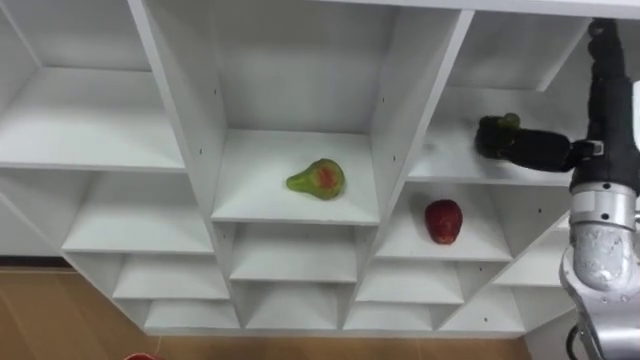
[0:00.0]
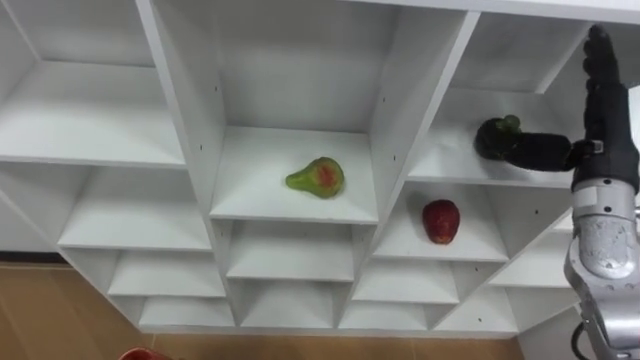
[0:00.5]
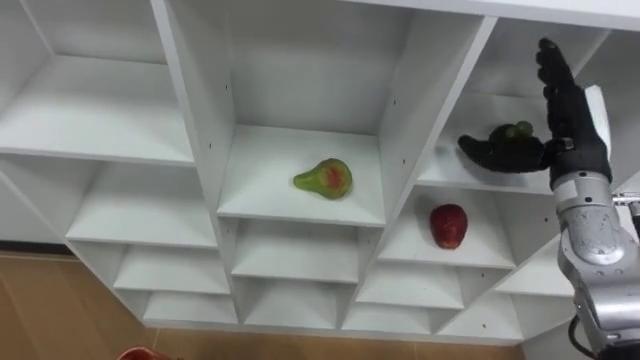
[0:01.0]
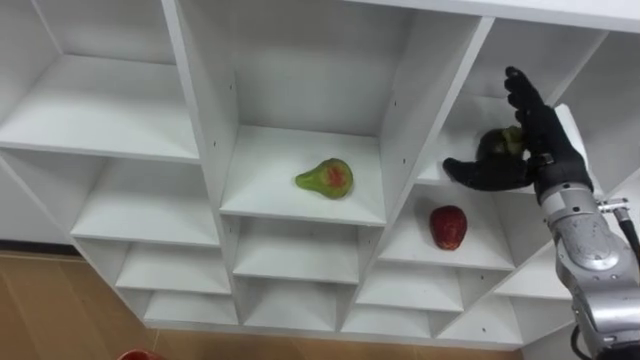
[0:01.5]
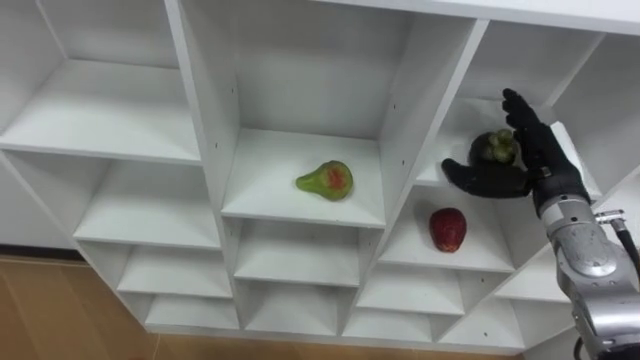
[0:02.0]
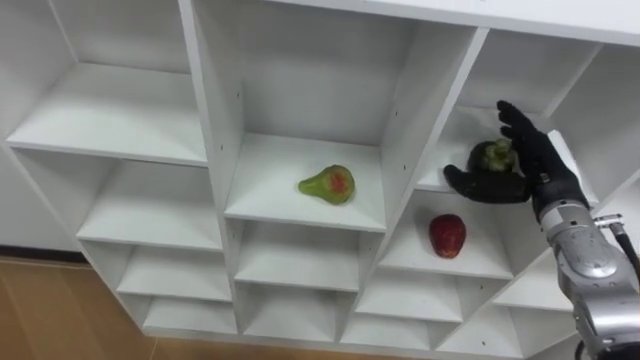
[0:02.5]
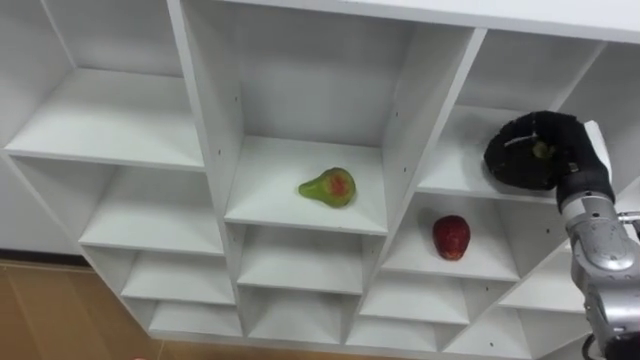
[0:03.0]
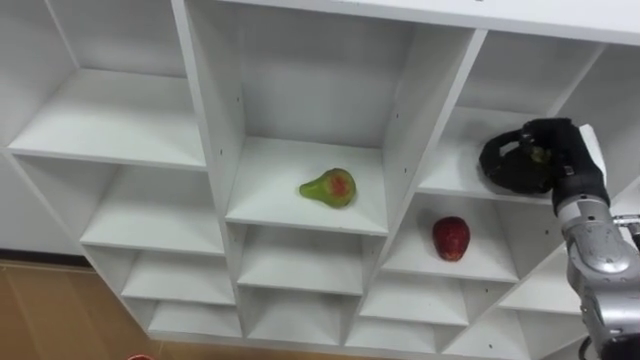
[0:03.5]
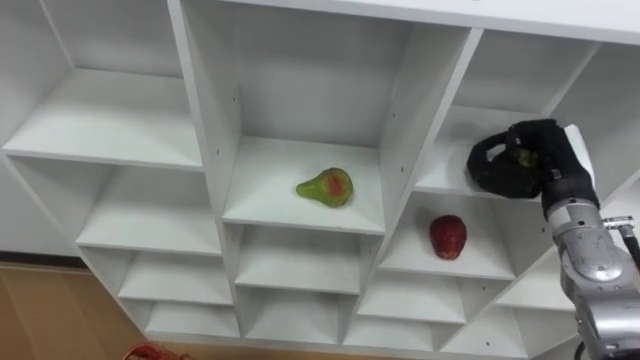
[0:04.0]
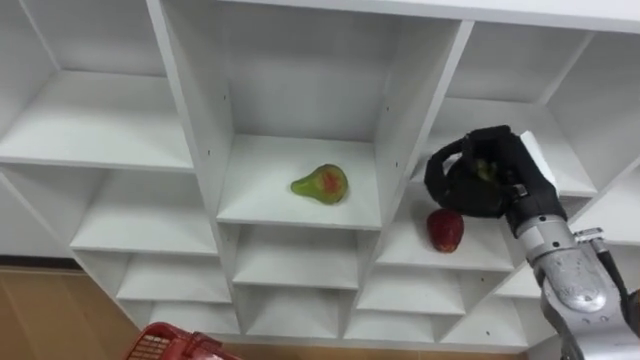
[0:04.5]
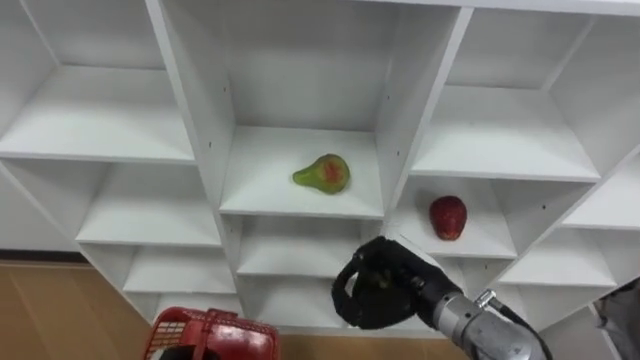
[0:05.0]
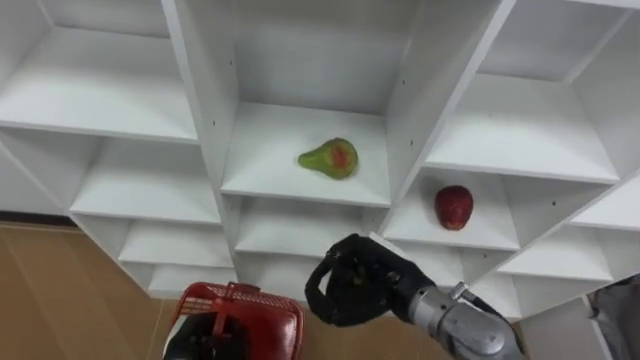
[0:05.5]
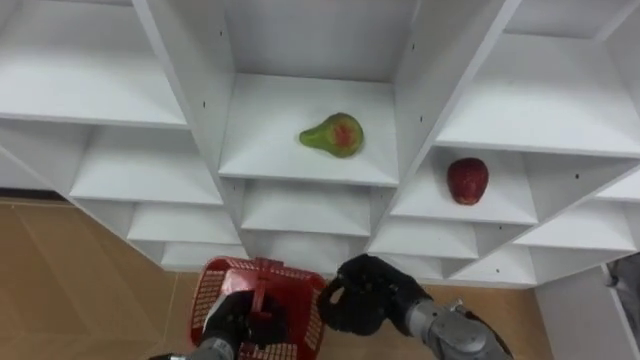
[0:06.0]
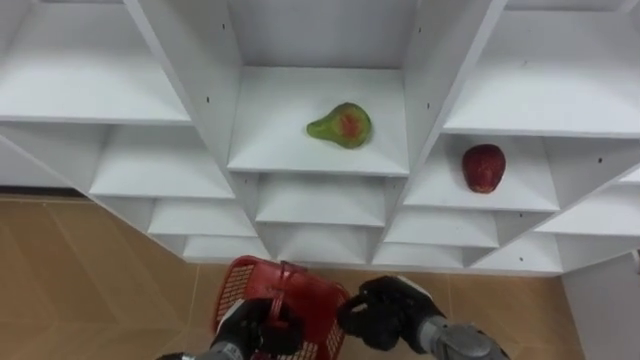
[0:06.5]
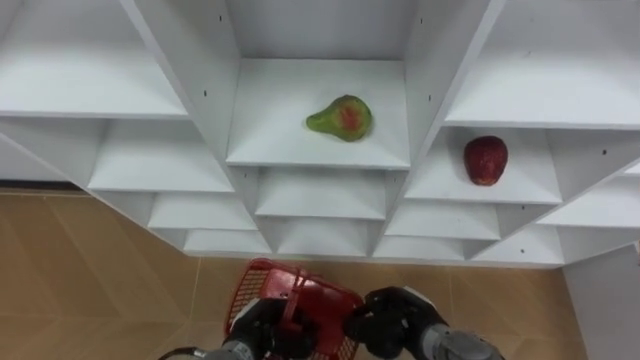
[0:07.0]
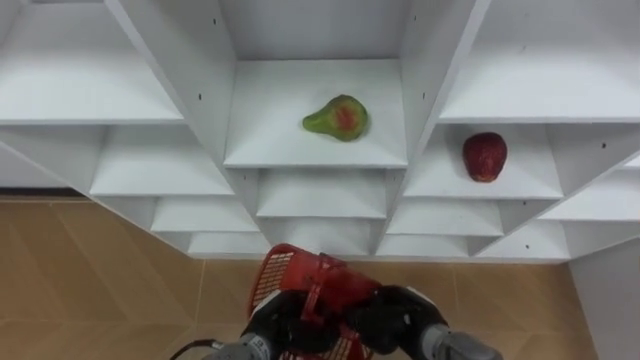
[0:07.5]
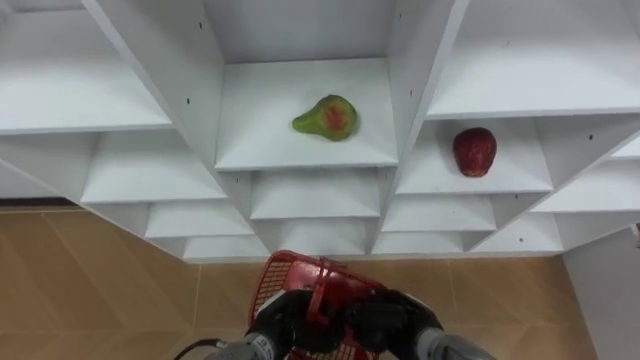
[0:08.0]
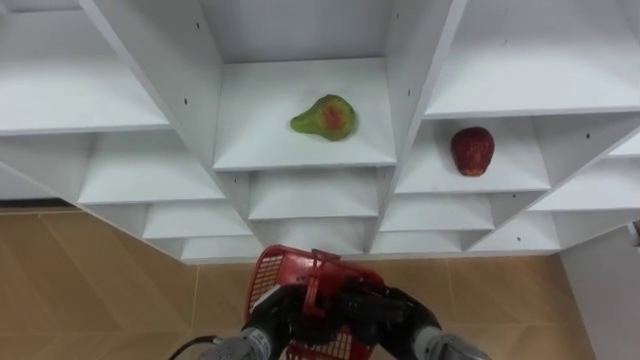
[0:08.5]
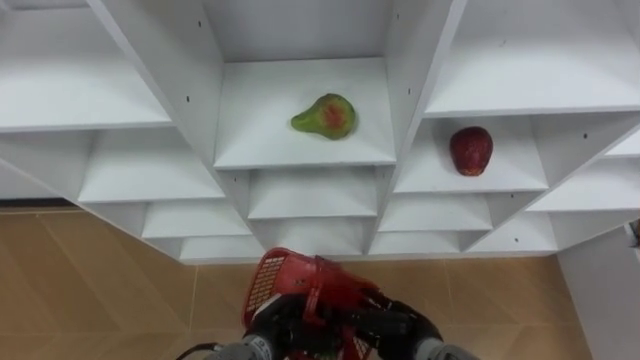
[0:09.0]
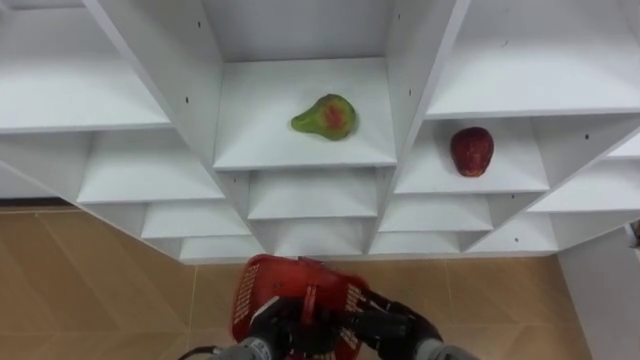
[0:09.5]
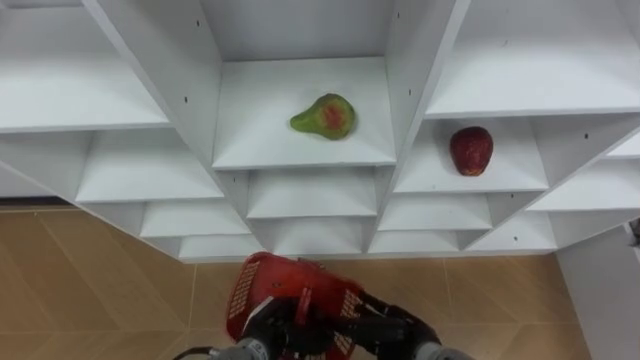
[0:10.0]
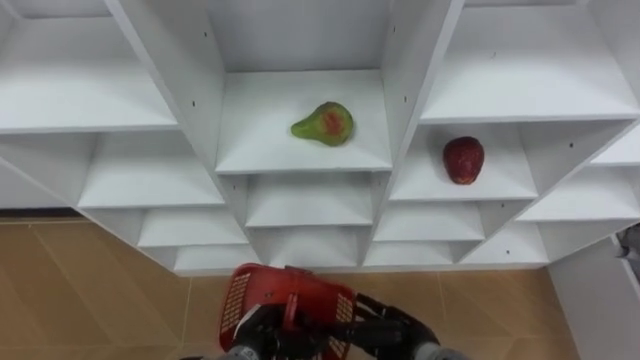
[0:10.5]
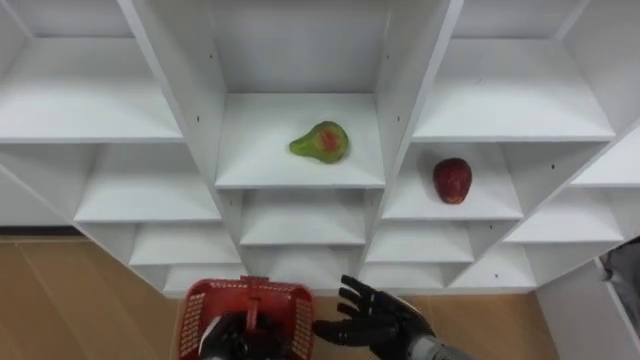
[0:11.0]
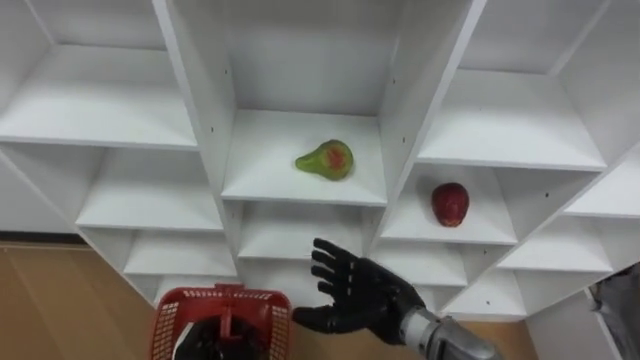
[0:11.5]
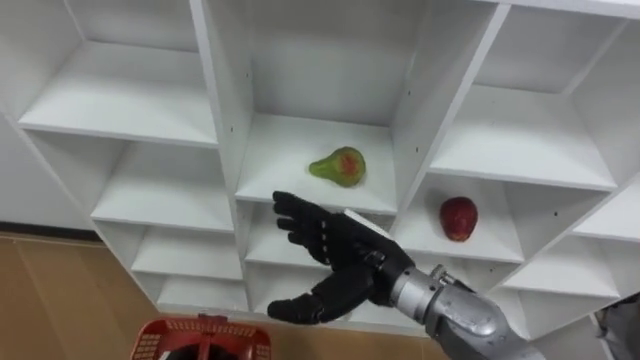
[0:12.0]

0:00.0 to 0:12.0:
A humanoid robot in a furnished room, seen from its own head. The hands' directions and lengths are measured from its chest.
Task of the whole recording: Hold the basket and collect the fruits from 3 different cells of the closet into it.
0:00.0 to 0:02.0: The right hand is displaced downward by approximately 10 cm.
0:02.0 to 0:04.0: The right hand closes up.
0:04.0 to 0:06.0: The right hand goes roughly 25 cm to the left, downward and backward.
0:06.0 to 0:08.0: The right hand shifts roughly 5 cm downward, while the left hand moves to the right, about 10 cm.
0:08.0 to 0:10.0: The right hand opens up.
0:10.0 to 0:12.0: The right hand heads upward, covering about 20 cm.

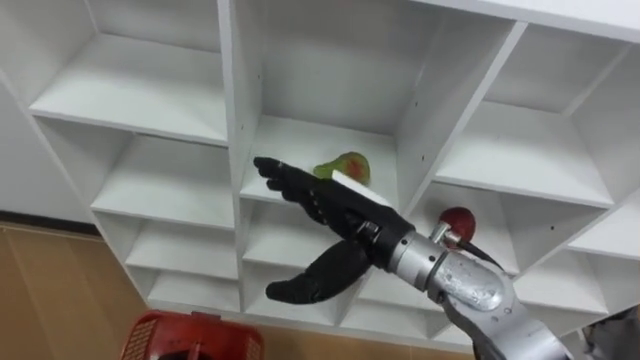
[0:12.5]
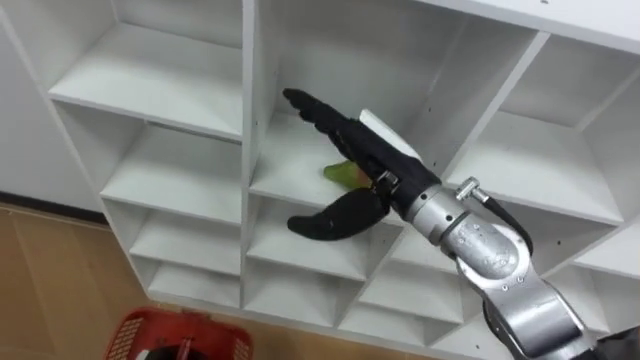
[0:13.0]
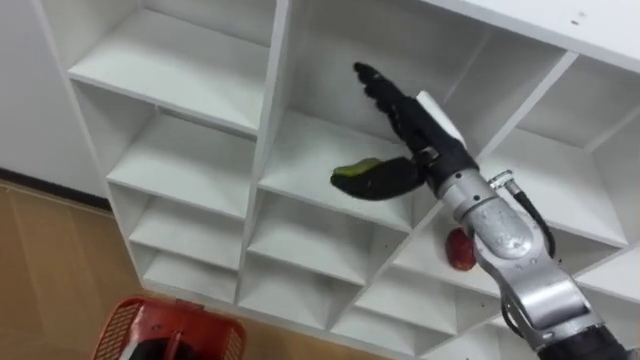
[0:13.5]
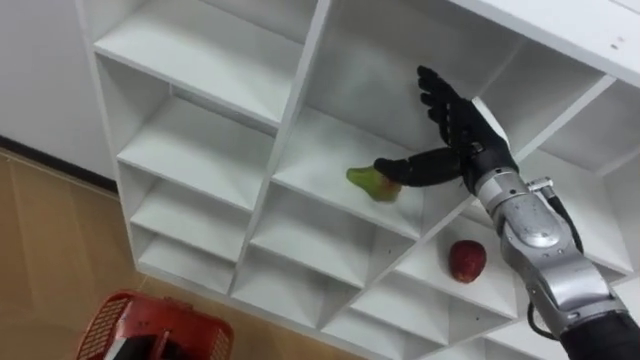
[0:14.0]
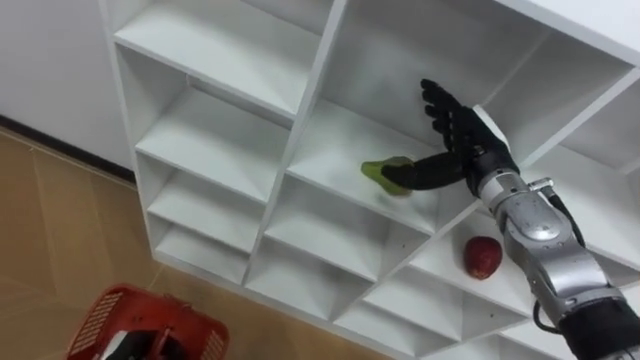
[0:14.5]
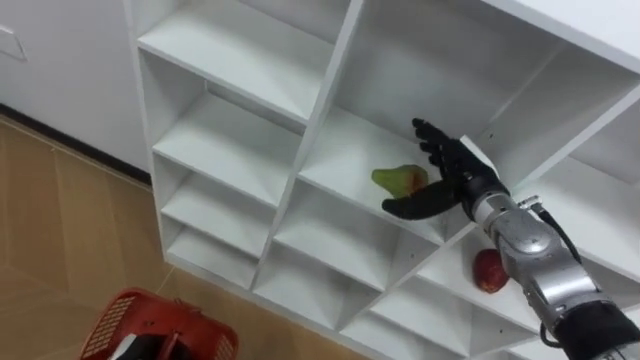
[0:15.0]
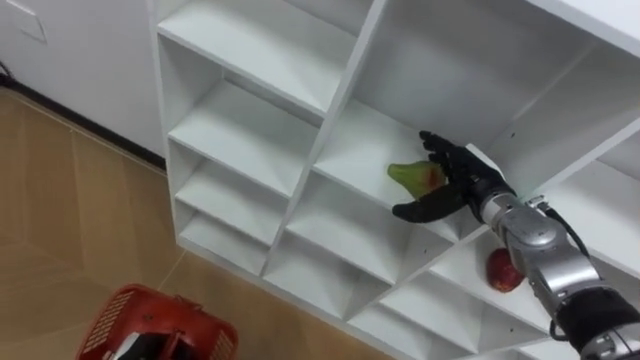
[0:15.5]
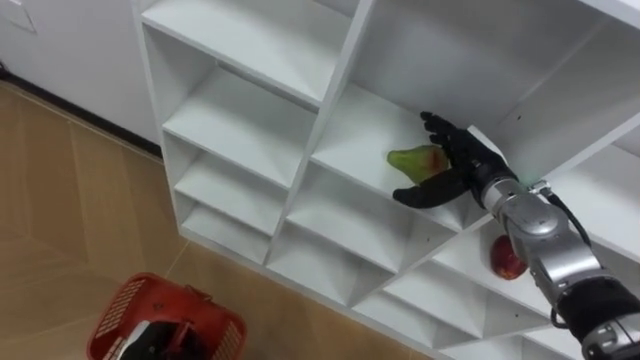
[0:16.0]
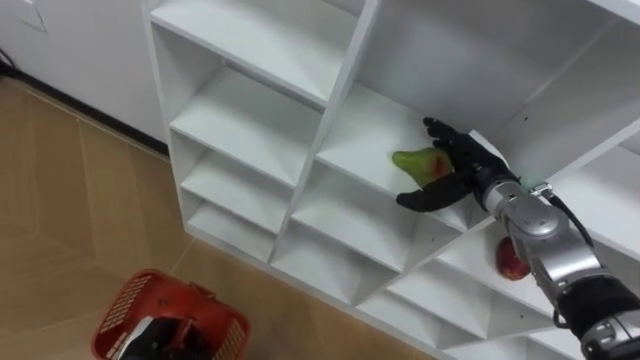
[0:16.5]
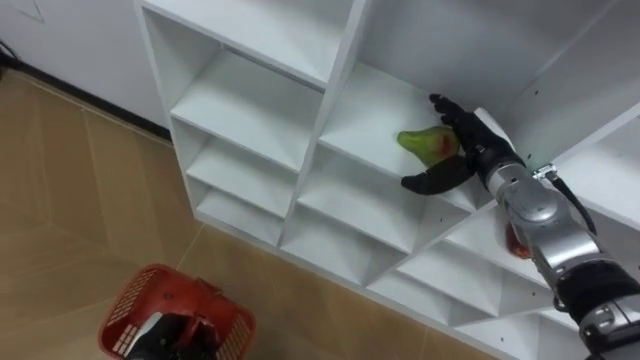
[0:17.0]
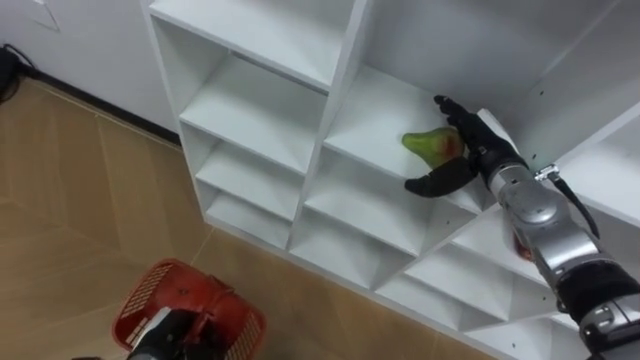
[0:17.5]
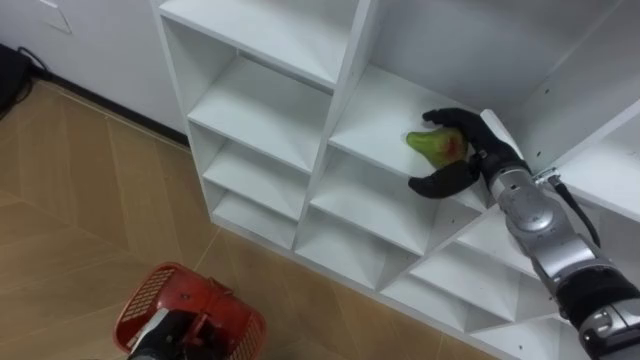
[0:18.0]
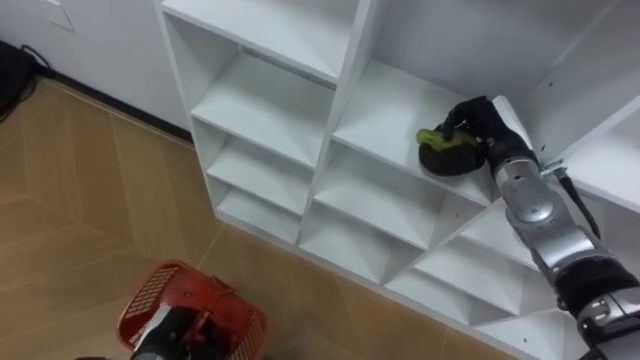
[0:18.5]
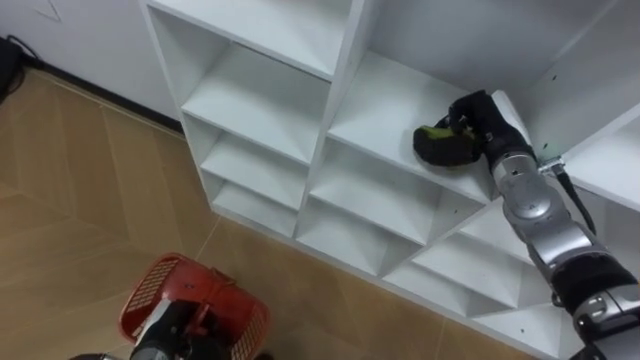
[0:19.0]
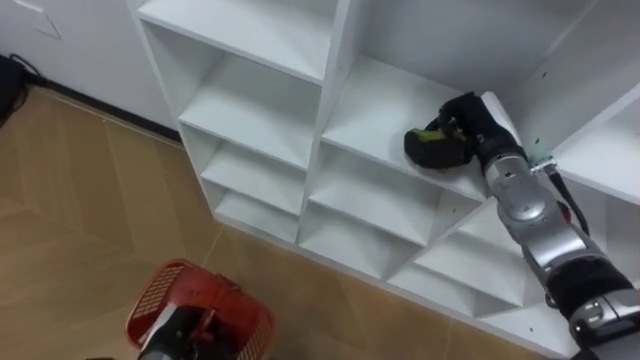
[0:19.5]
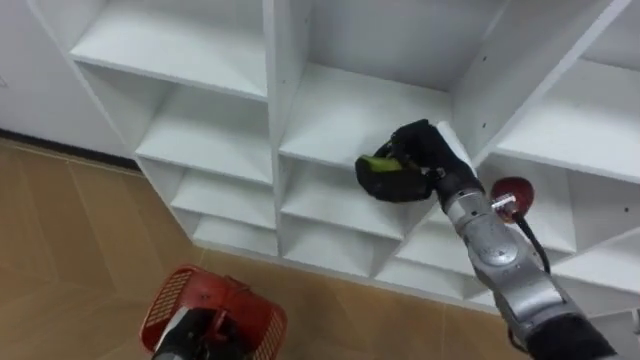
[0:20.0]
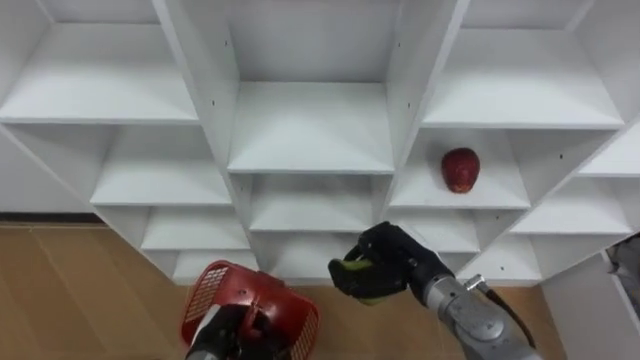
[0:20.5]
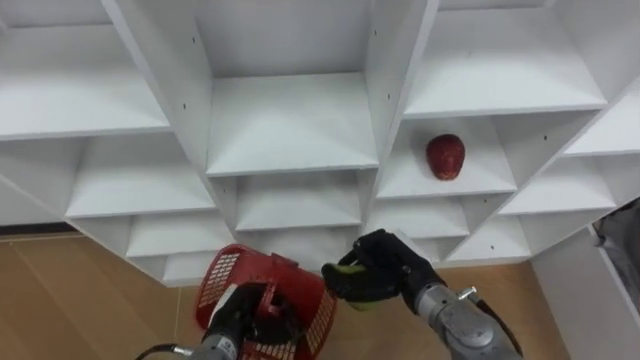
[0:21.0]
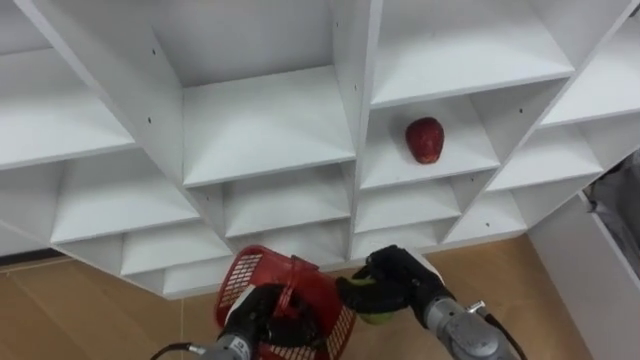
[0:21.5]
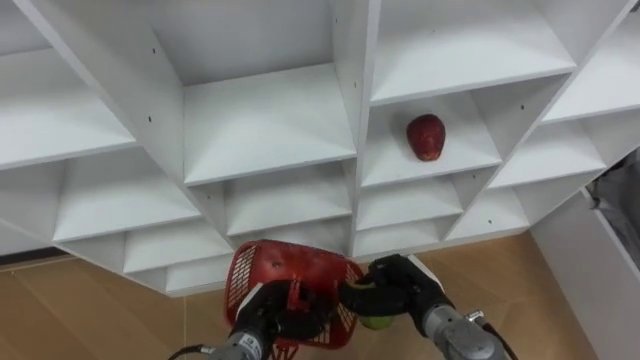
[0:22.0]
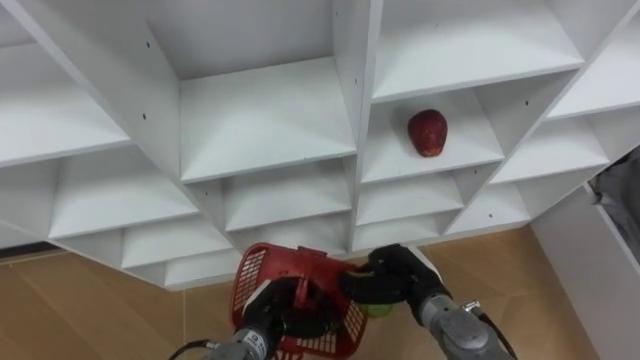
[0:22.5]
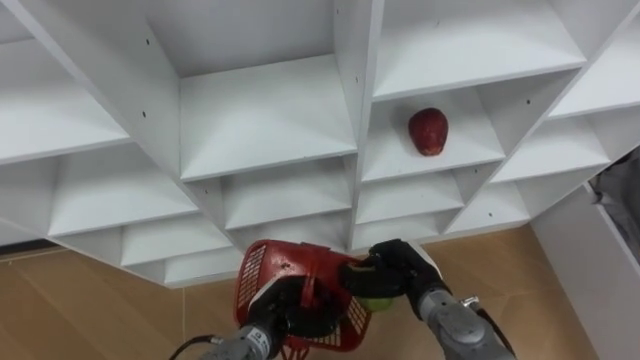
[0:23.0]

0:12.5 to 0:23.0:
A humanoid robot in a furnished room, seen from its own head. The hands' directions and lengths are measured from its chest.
Task of the whole recording: Hold the basket and collect the fruits from 3 different cells of the closet into it.
0:12.5 to 0:14.5: The right hand is displaced to the right and forward by about 20 cm.
0:14.5 to 0:16.5: The right hand moves downward, about 5 cm.
0:16.5 to 0:19.0: The right hand closes up.
0:19.0 to 0:21.0: The right hand moves backward, to the left and downward, approximately 20 cm. The left hand travels to the right by approximately 10 cm.
0:21.0 to 0:23.0: The left hand goes approximately 5 cm to the right.
